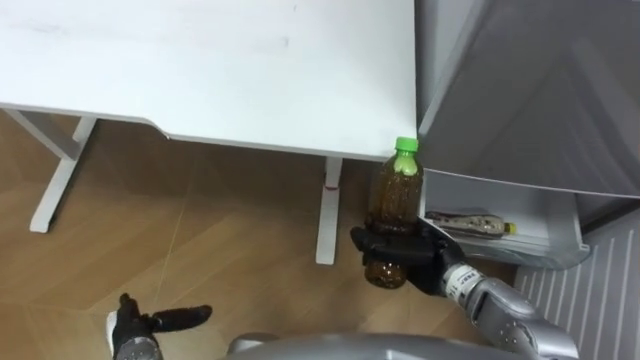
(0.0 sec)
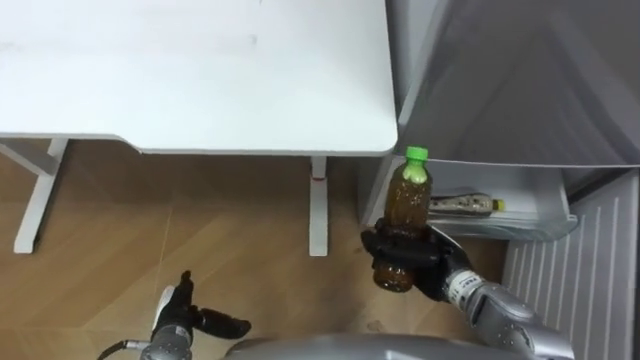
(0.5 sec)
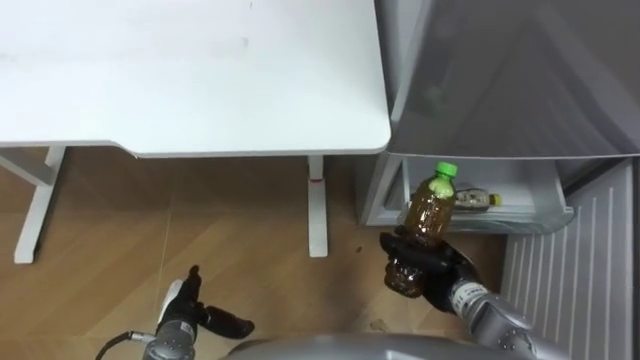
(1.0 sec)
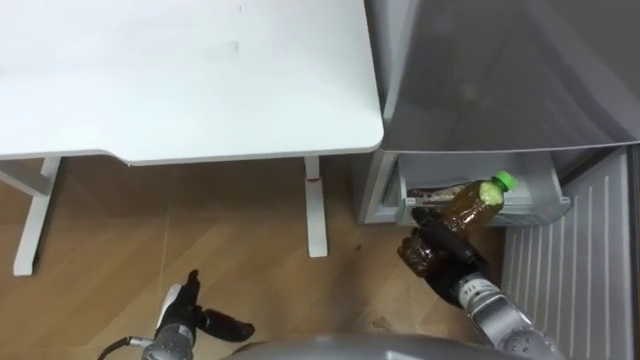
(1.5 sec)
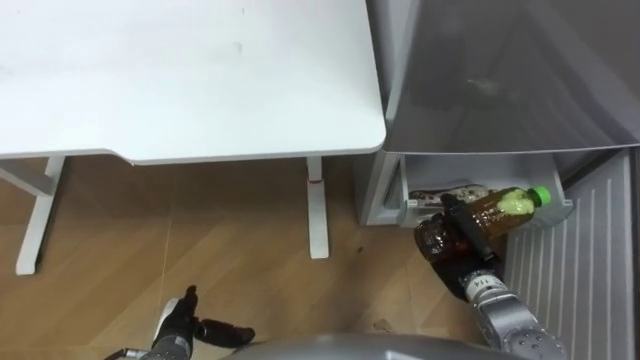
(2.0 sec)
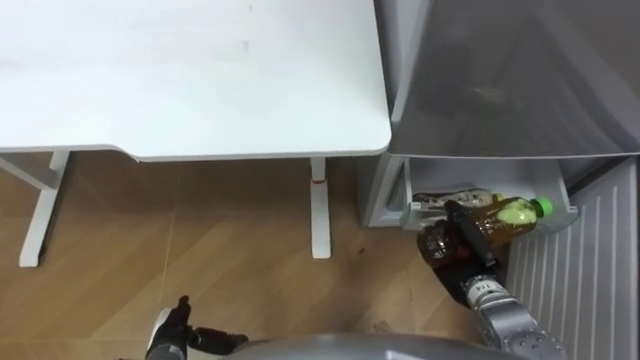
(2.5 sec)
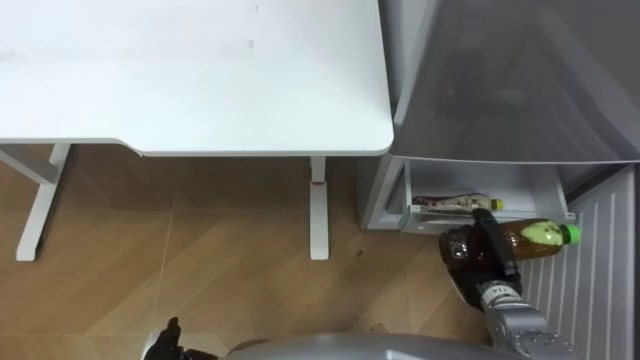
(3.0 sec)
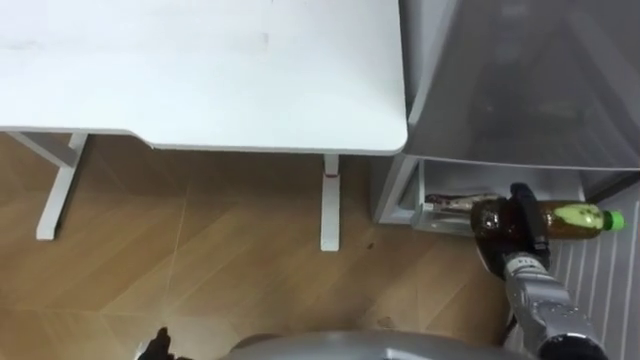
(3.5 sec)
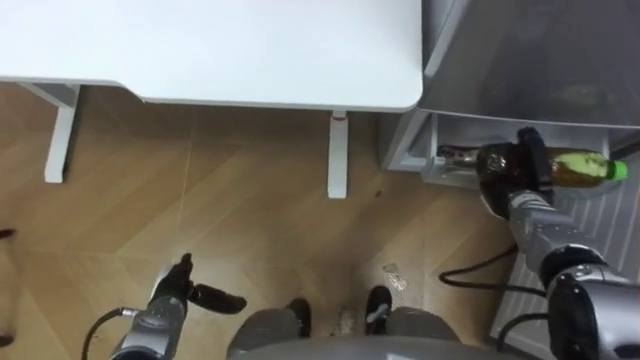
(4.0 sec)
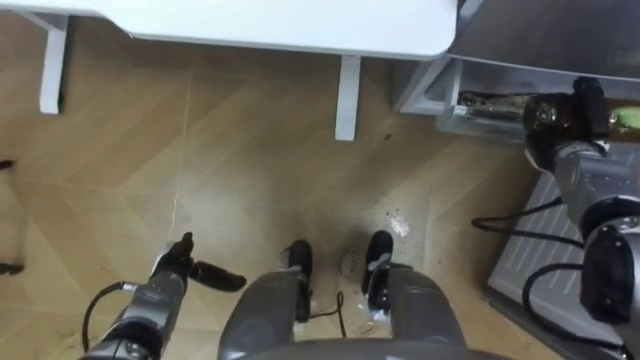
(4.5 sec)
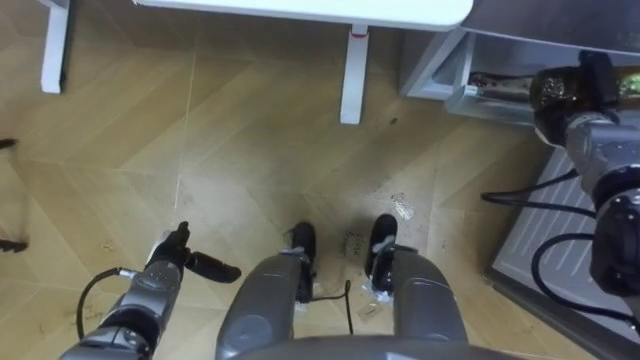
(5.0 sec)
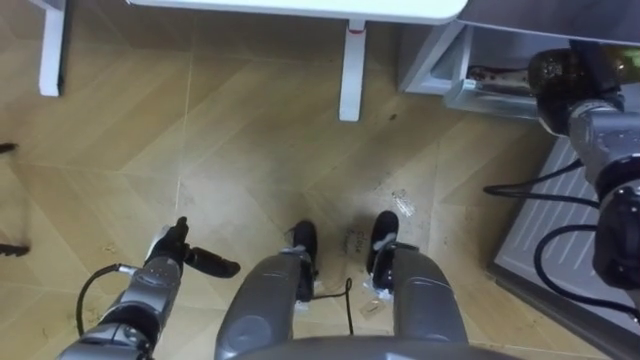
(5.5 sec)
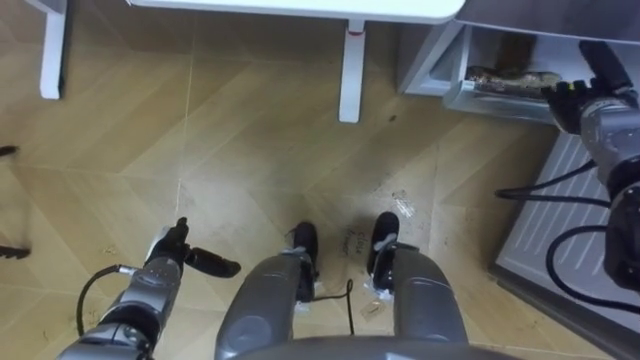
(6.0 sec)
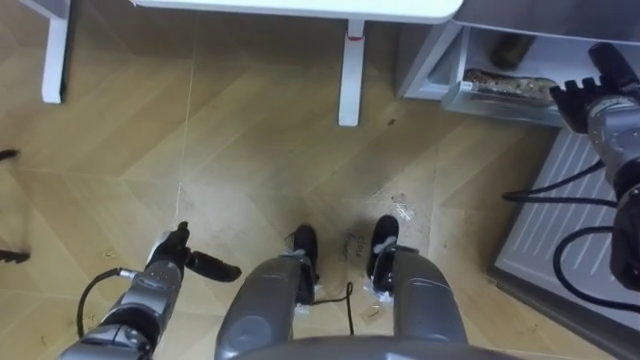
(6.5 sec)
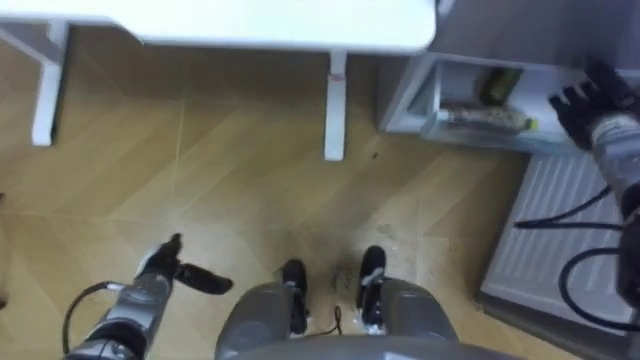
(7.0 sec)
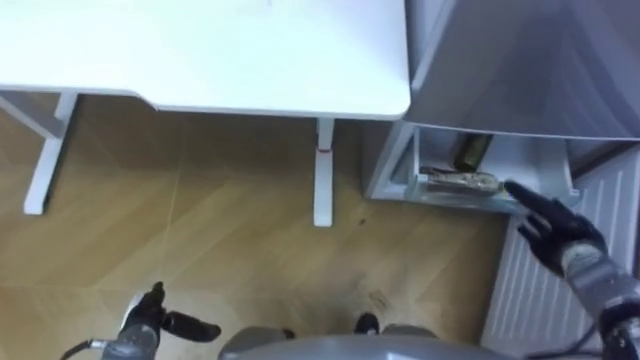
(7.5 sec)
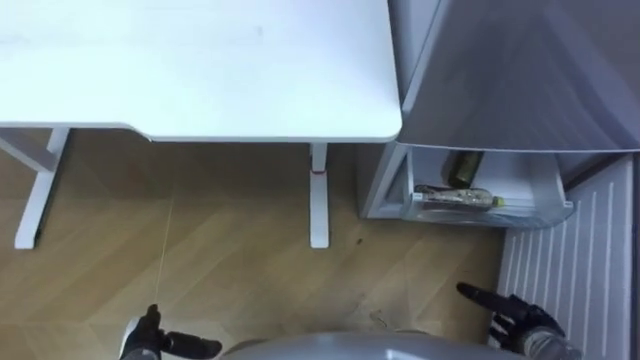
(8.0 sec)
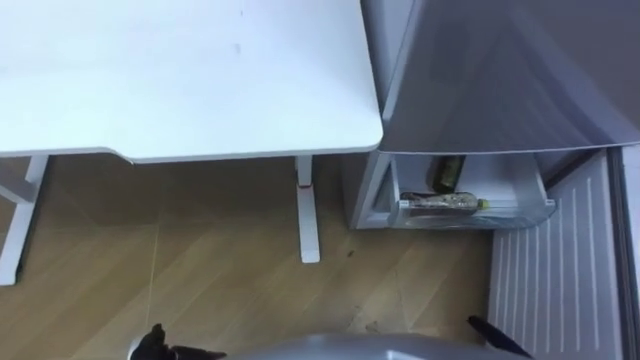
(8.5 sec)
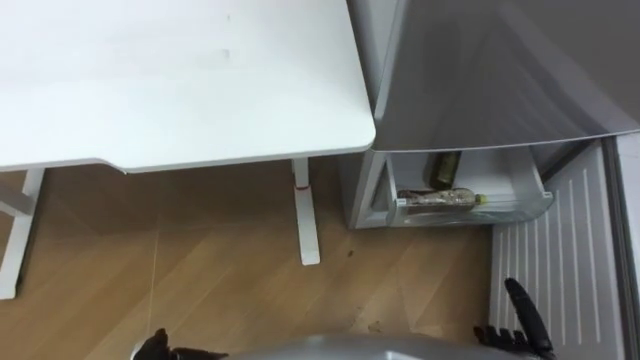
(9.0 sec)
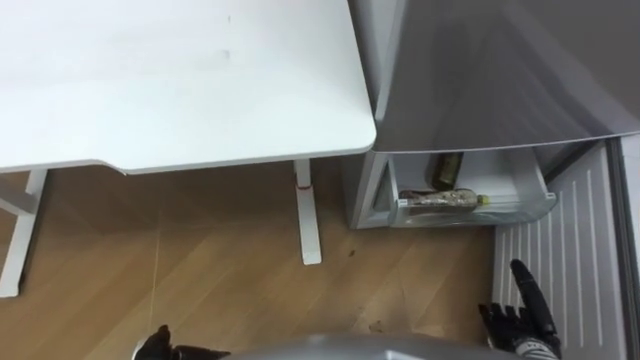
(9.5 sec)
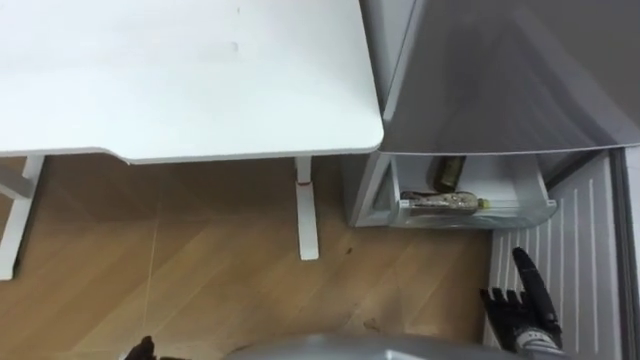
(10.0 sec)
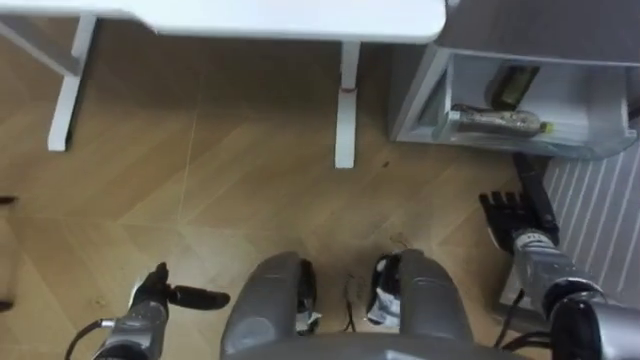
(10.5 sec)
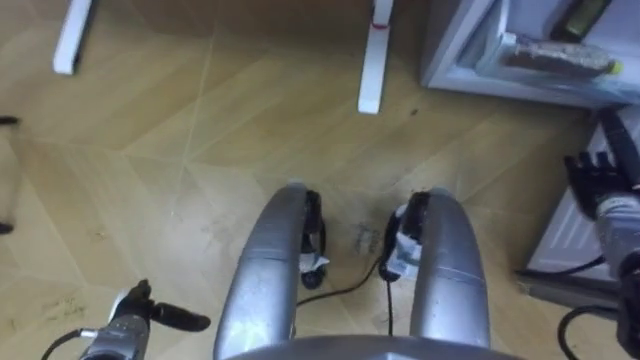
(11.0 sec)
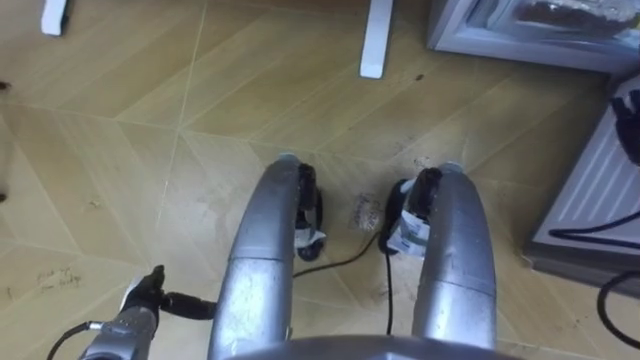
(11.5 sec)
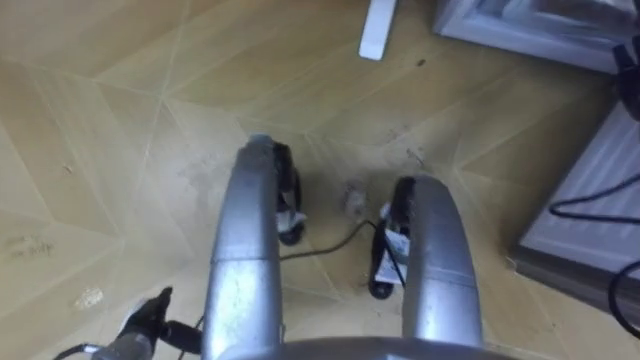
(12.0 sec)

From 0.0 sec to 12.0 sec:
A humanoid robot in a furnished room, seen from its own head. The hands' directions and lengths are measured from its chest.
Task of the whole recording: Place the drink on the table on the bottom shelf of the refrigerator, then close the drawer and the refrigerator door.
From 0.0 sec to 2.0 sec: The hands both shift to the right by some 5 cm.
From 2.0 sec to 4.0 sec: The right hand moves forward and to the right, about 10 cm.
From 4.0 sec to 6.0 sec: The left hand heads forward, covering approximately 5 cm. The right hand travels upward, forward and to the right by roughly 15 cm, and opens up.
From 6.0 sec to 8.0 sec: The right hand is displaced backward and downward by about 30 cm, while the left hand travels backward by approximately 15 cm.

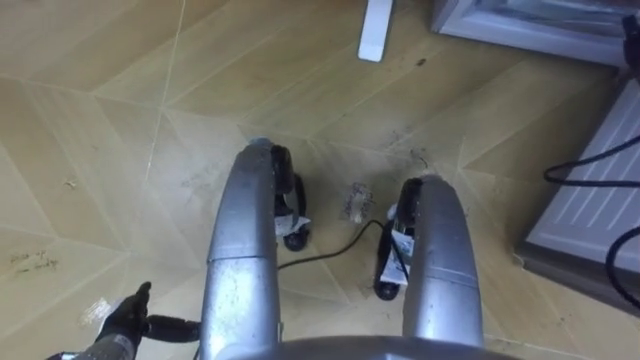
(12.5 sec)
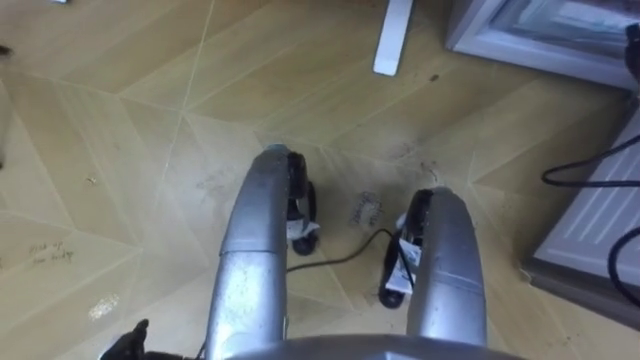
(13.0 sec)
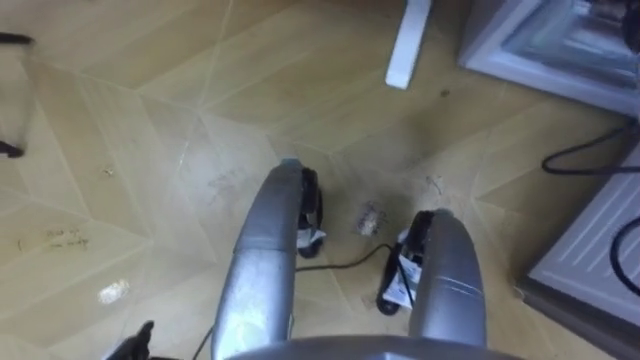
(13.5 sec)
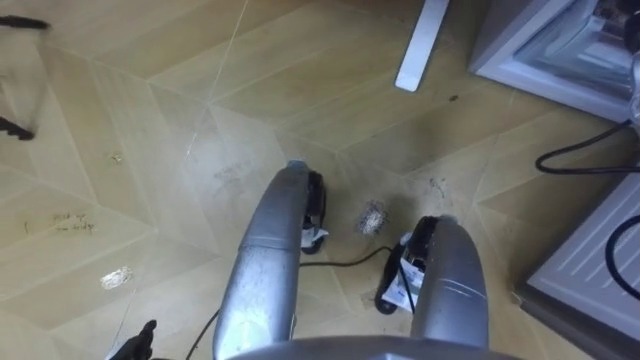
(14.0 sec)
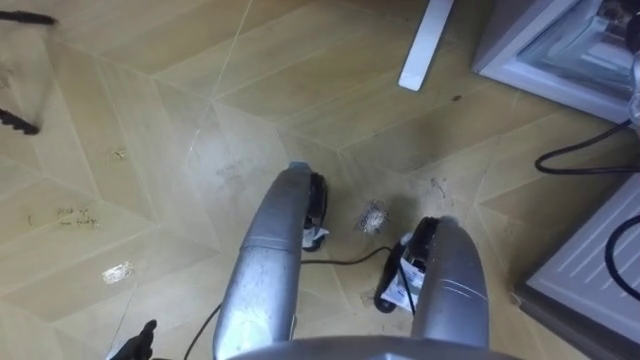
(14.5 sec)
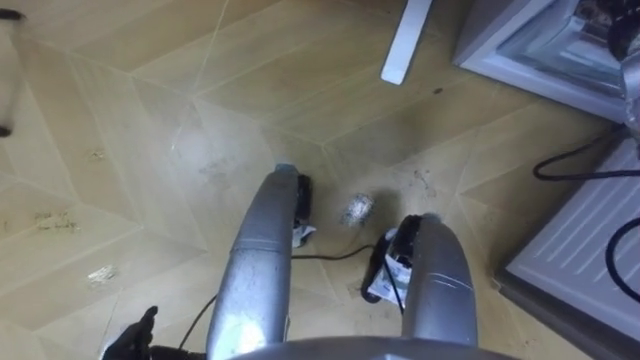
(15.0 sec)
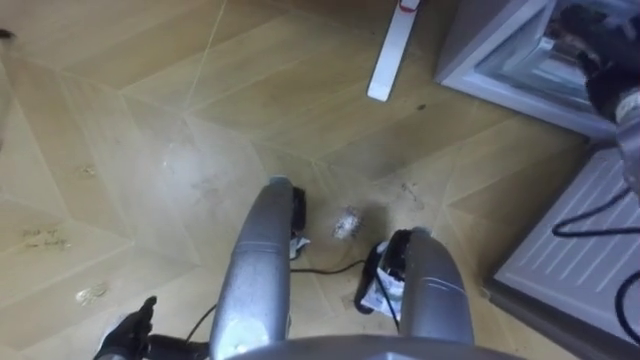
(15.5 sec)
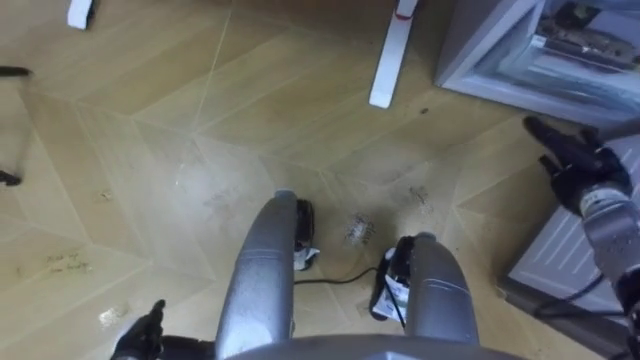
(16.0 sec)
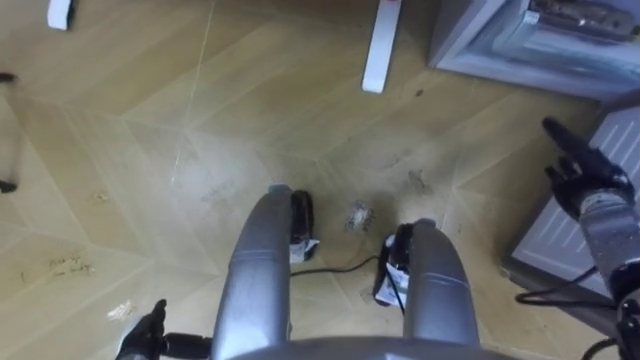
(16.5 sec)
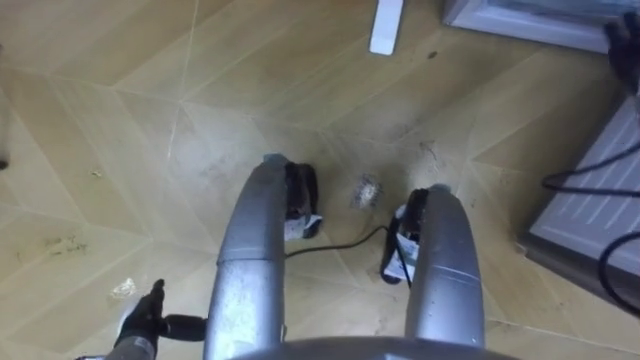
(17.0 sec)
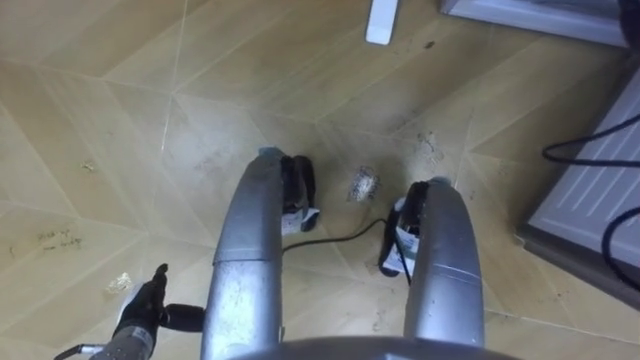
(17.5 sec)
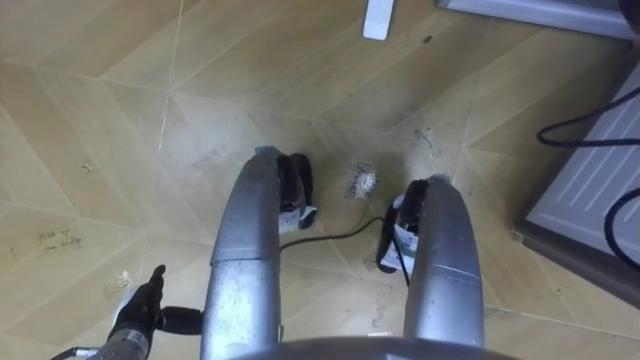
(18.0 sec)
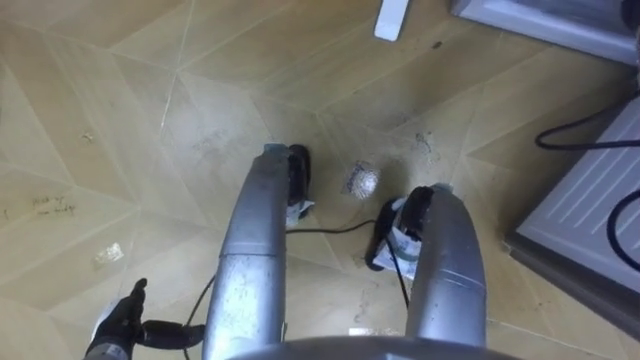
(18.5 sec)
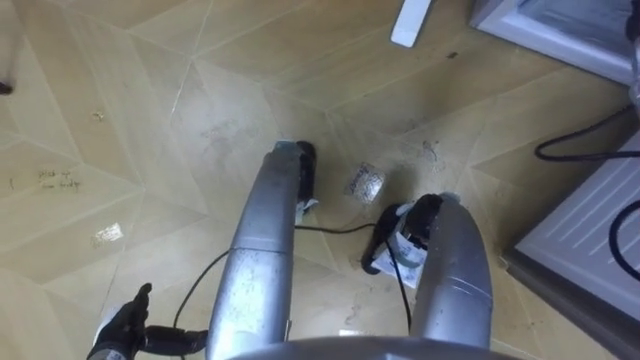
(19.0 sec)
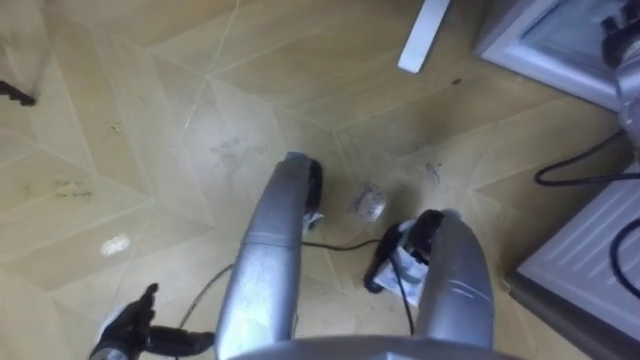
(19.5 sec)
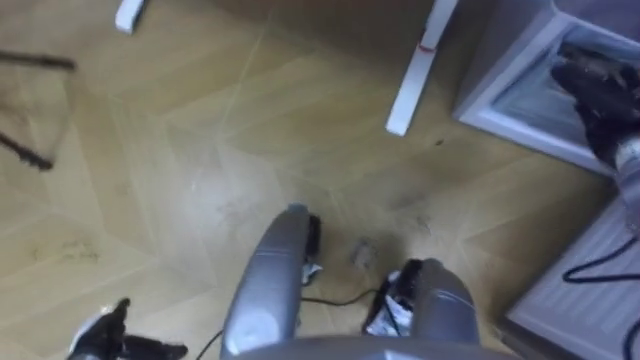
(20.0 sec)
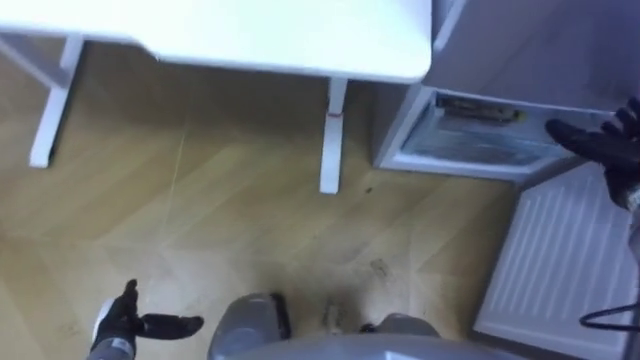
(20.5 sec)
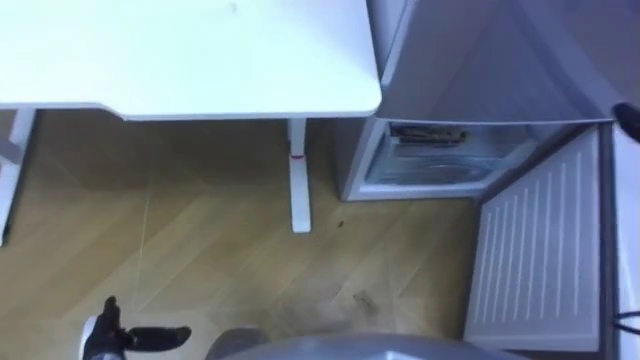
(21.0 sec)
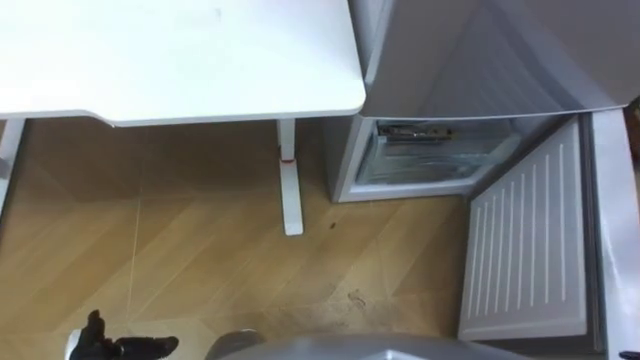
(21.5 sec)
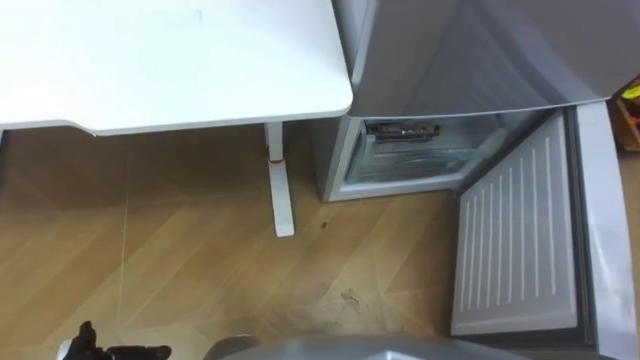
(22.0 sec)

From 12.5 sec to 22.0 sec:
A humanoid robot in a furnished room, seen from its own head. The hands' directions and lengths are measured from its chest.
Task of the whole recording: Place the drink on the table on the bottom shelf of the refrigerator, then close the drawer and the refrigerator door.
From 16.5 sec to 18.0 sec: The left hand changes place by approximately 5 cm.
From 18.0 sec to 20.0 sec: The left hand changes place by roughly 5 cm.
